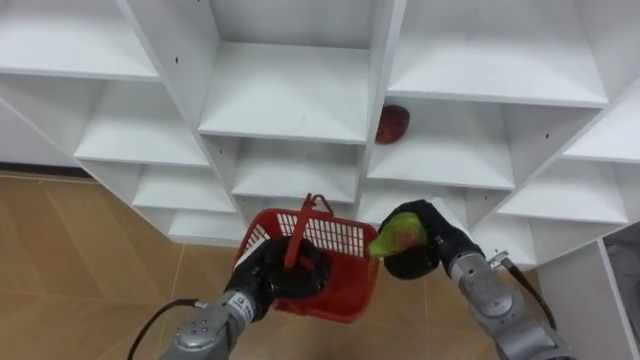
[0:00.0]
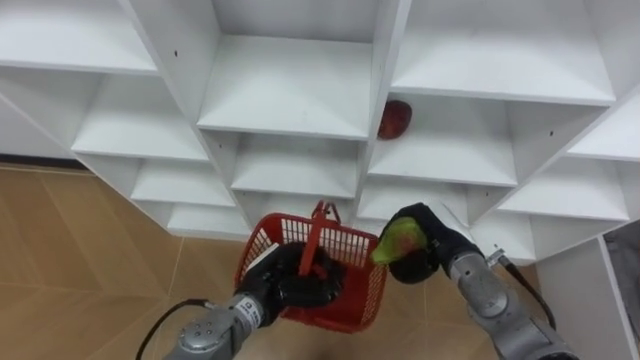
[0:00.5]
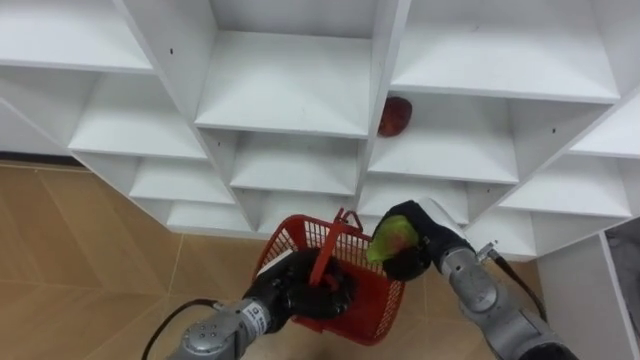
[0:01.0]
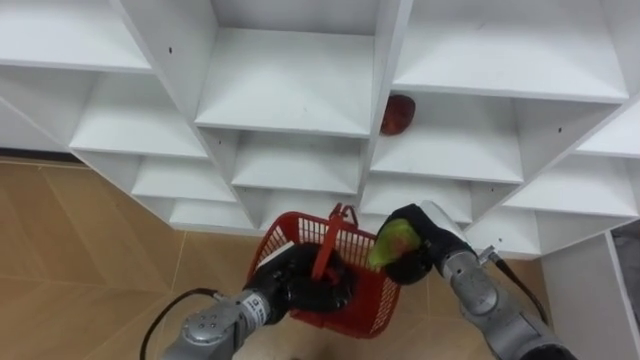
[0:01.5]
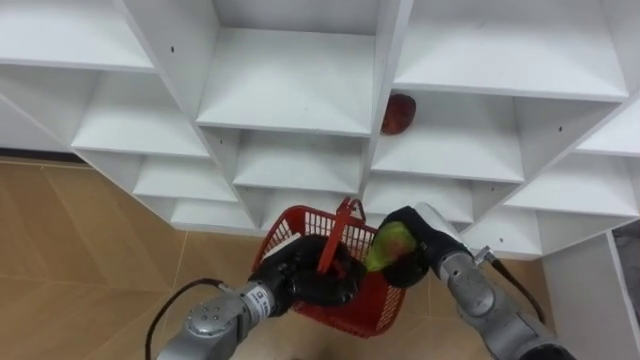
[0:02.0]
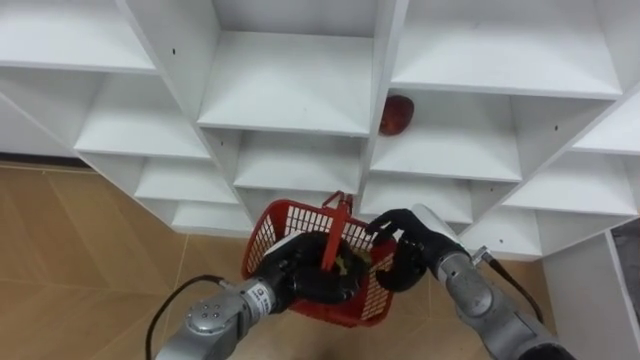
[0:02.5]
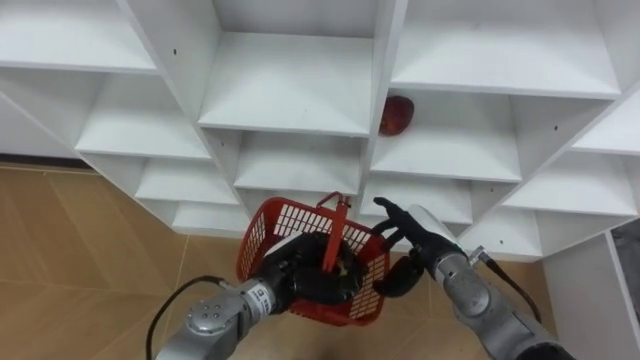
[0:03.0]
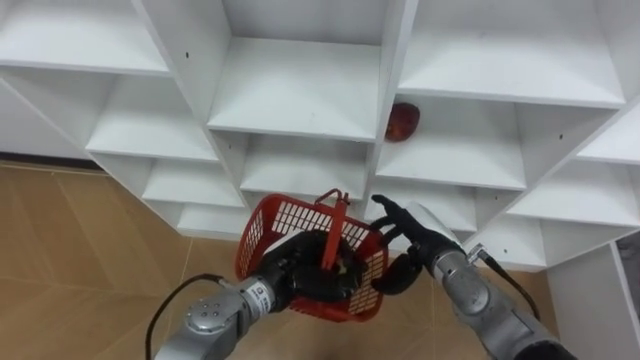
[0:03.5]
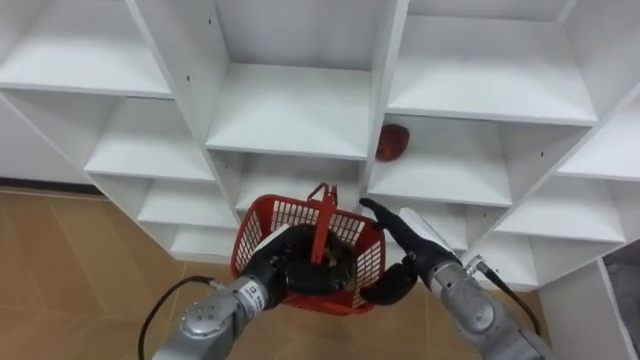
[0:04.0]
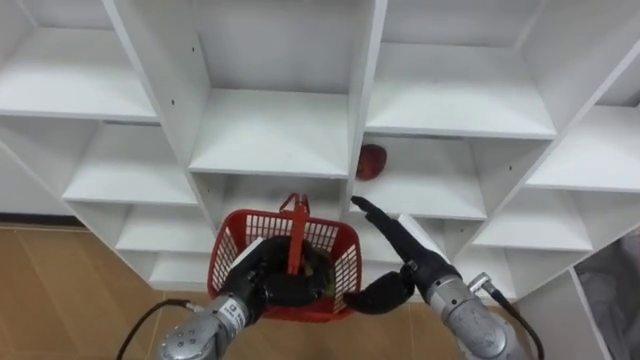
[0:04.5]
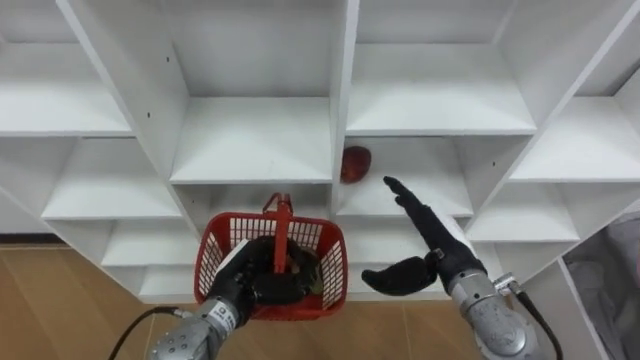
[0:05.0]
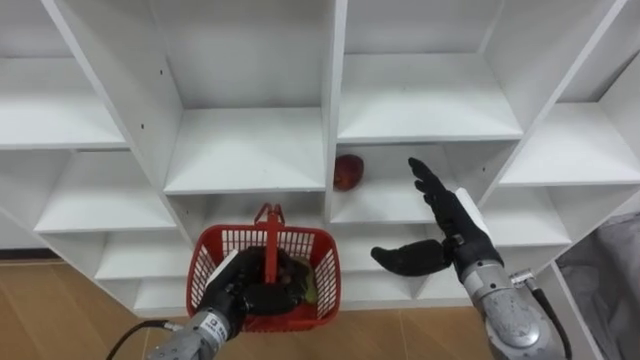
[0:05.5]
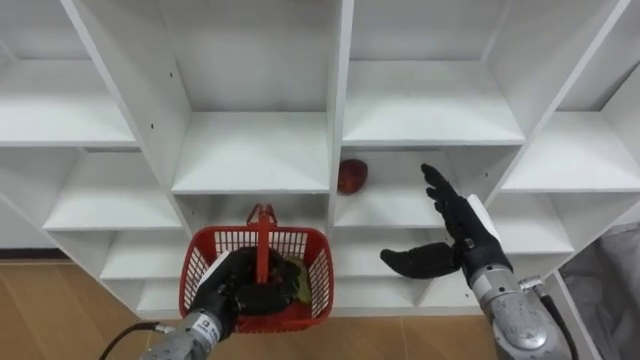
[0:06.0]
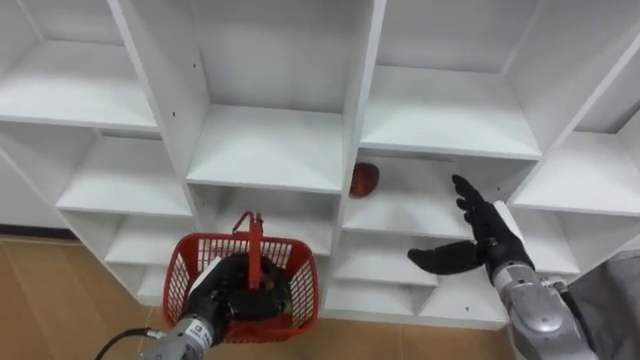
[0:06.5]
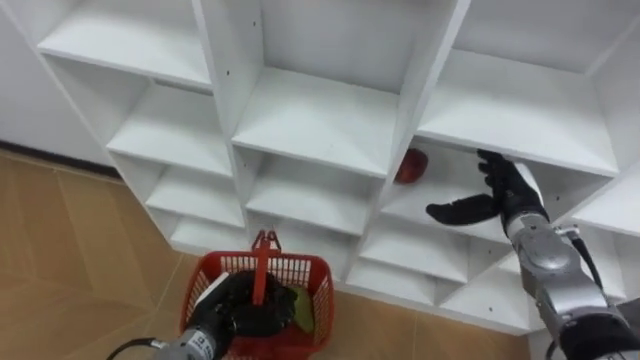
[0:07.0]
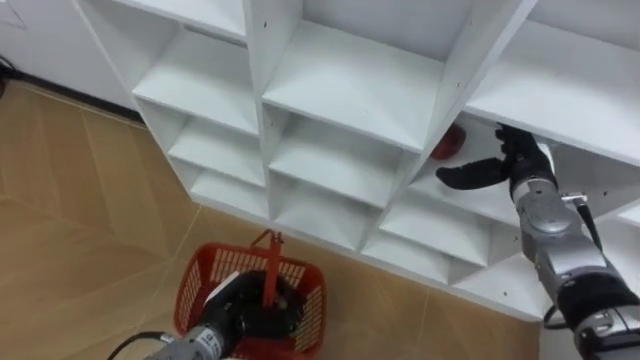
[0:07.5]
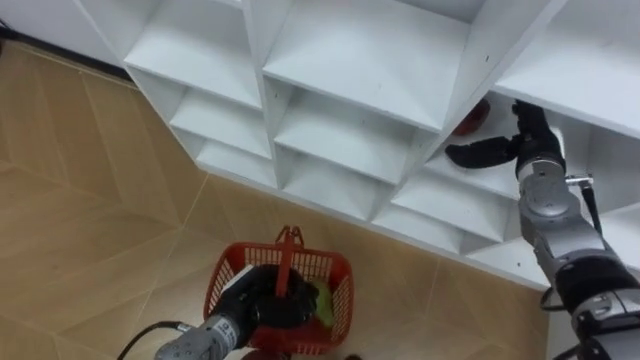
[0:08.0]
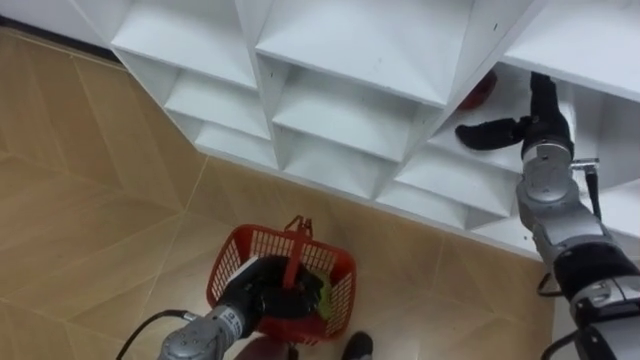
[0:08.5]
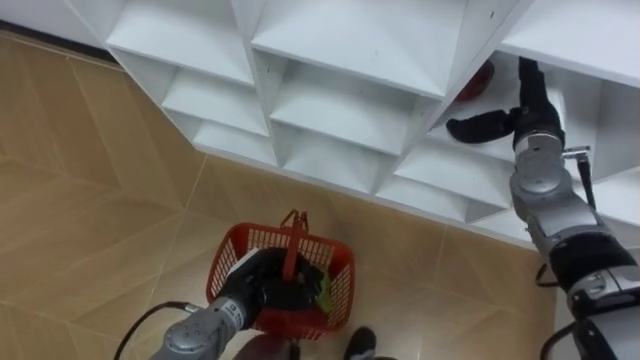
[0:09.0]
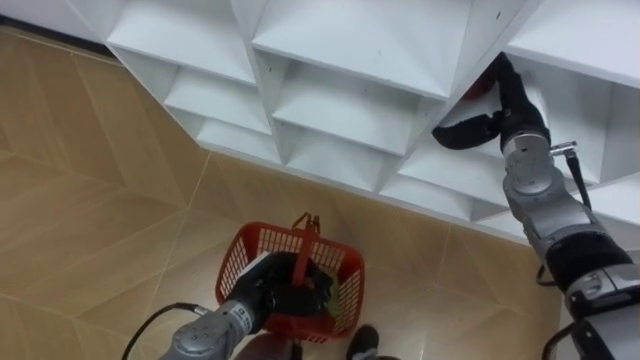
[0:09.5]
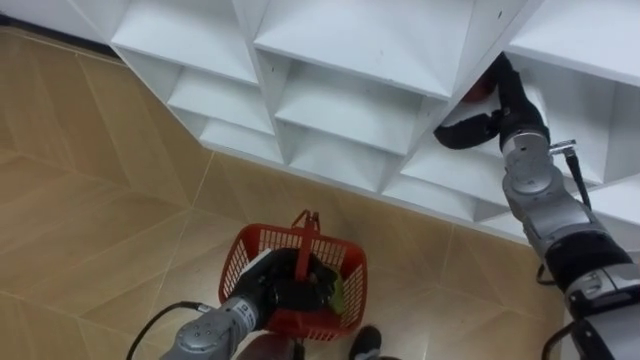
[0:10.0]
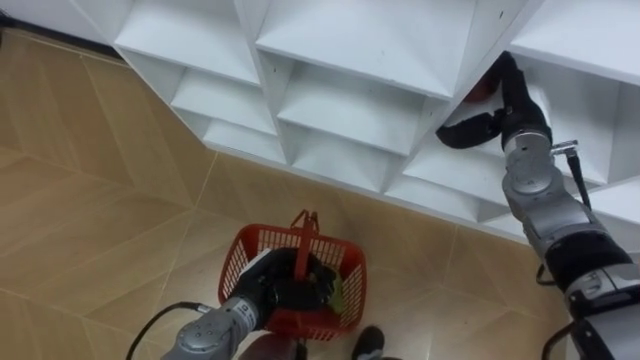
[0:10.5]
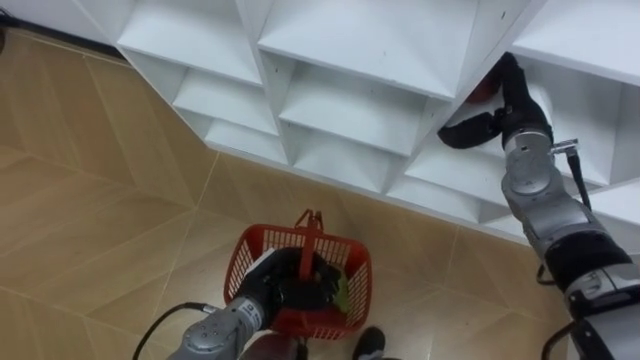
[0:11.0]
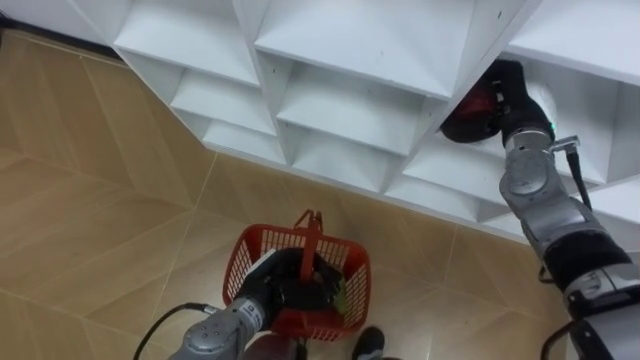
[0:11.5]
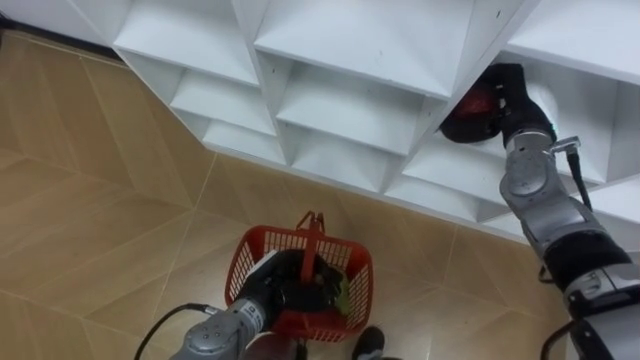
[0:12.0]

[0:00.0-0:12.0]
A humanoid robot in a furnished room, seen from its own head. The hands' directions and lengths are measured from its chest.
Task of the whole recording: Hold the basket and collect the fruits from 3 different cells of the closet into it.
0:02.0 to 0:04.0: The right hand opens up.
0:04.0 to 0:06.0: The right hand heads to the right, covering approximately 5 cm. Meanwhile the left hand travels to the left by some 10 cm.
0:06.0 to 0:08.0: The right hand moves forward, to the right and upward, approximately 15 cm.
0:10.0 to 0:12.0: The right hand closes its fingers.

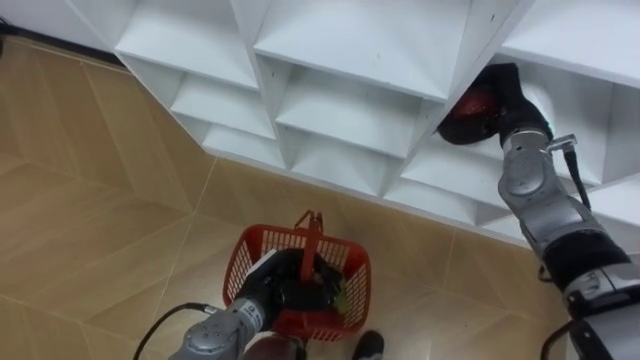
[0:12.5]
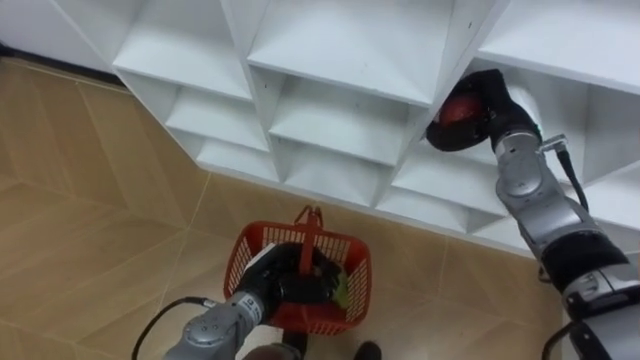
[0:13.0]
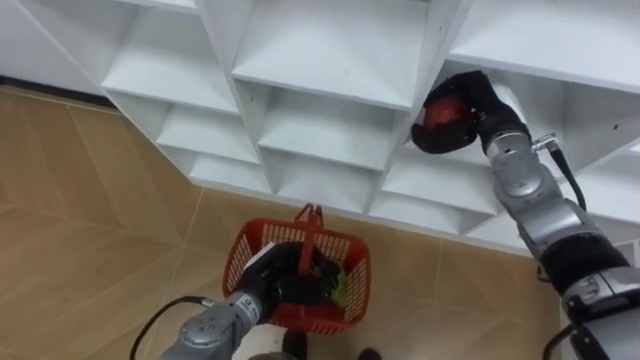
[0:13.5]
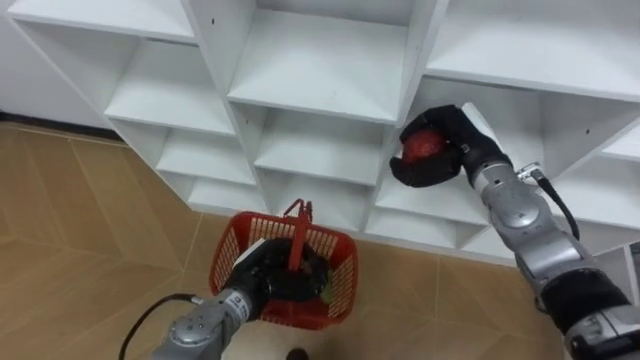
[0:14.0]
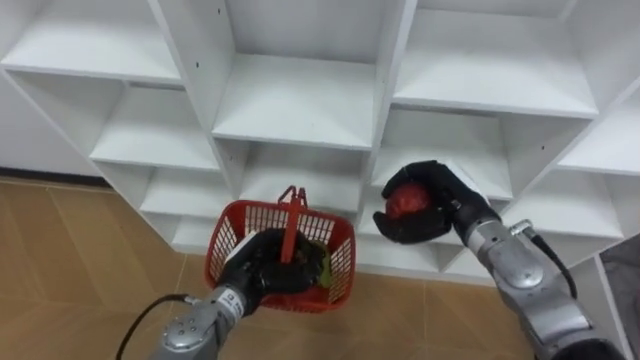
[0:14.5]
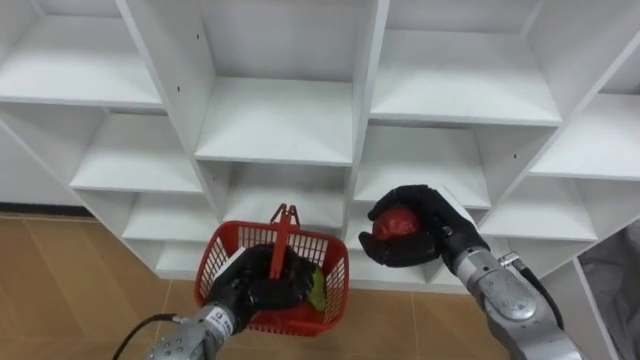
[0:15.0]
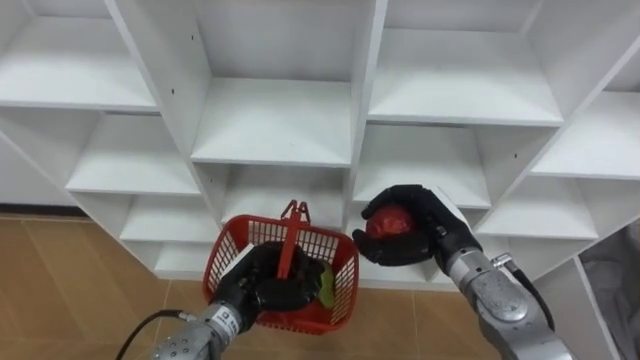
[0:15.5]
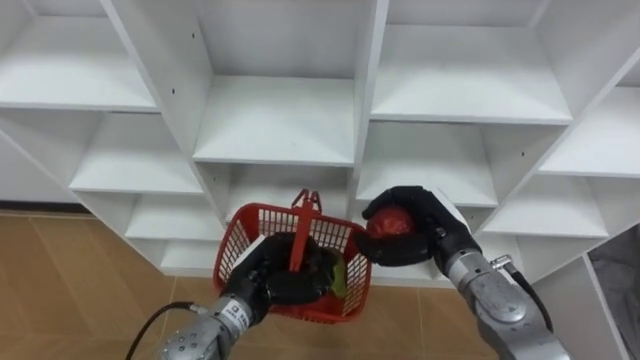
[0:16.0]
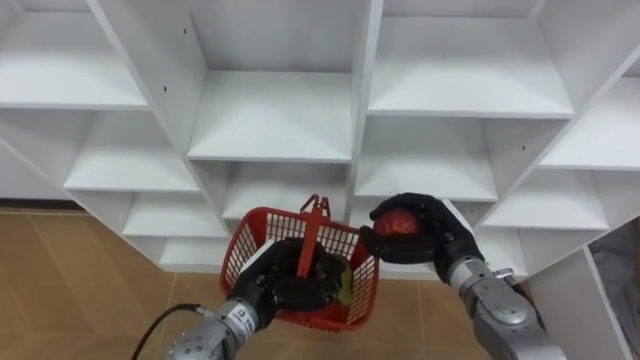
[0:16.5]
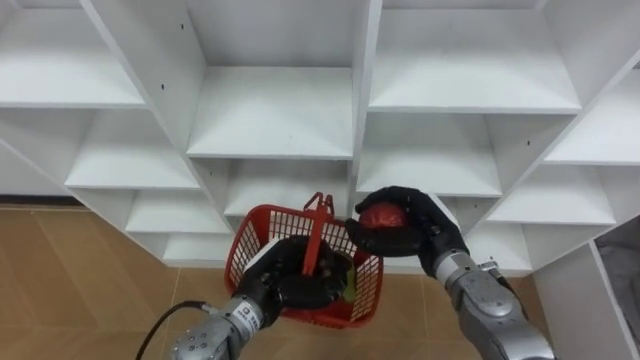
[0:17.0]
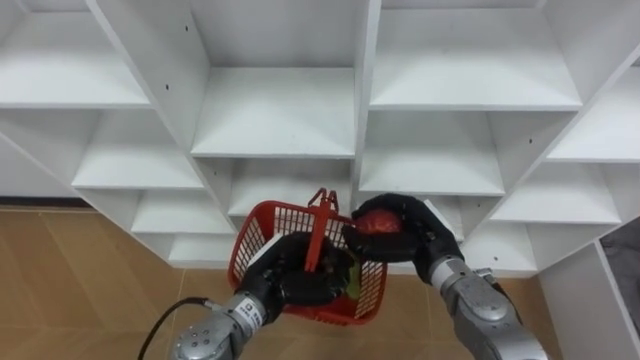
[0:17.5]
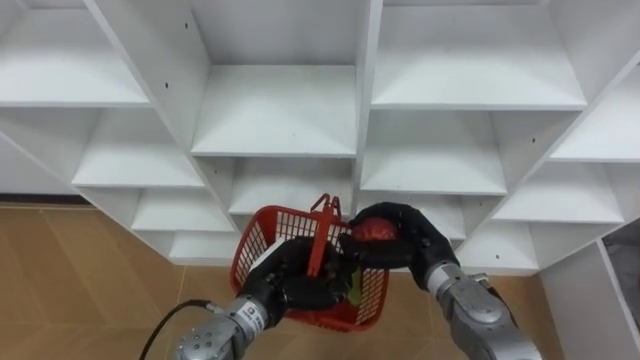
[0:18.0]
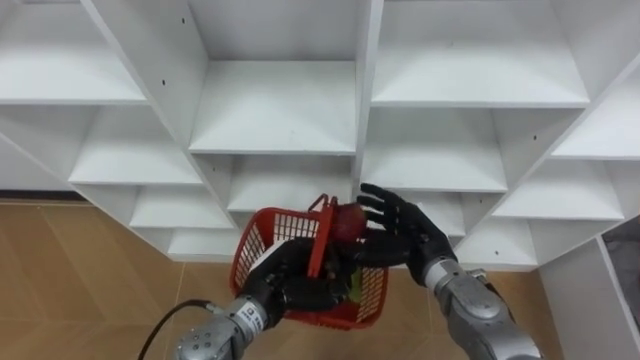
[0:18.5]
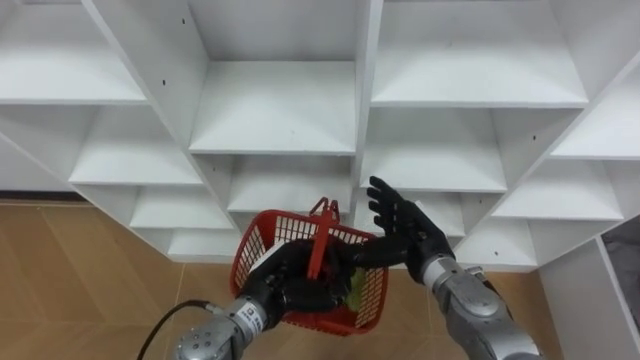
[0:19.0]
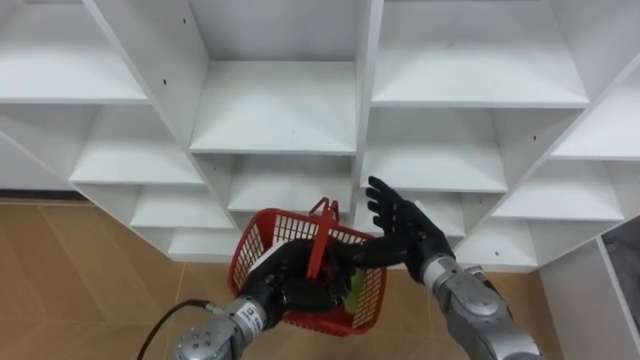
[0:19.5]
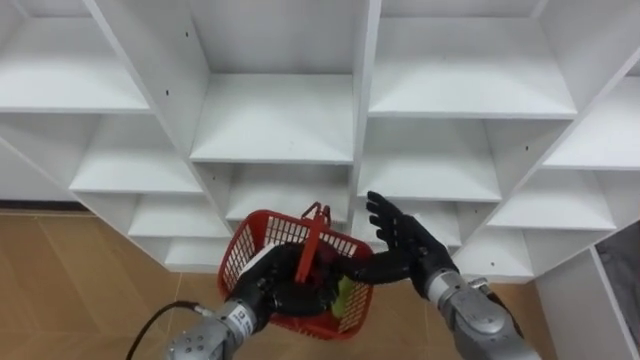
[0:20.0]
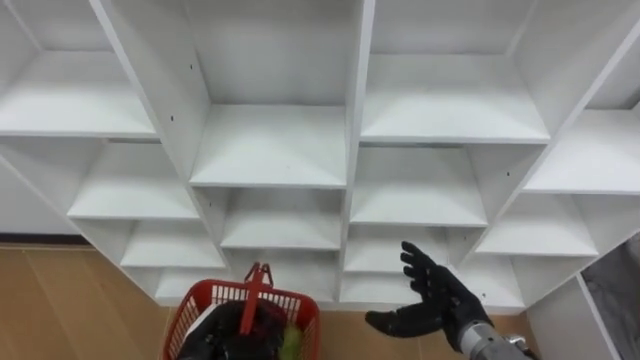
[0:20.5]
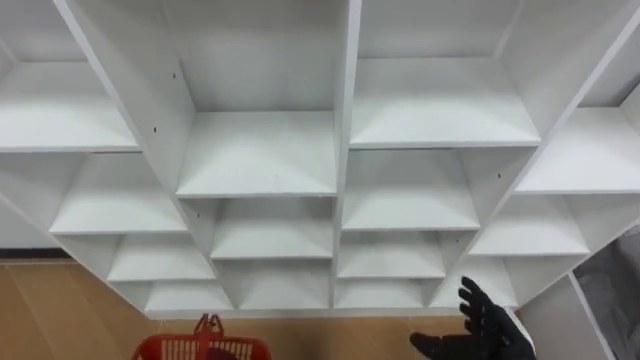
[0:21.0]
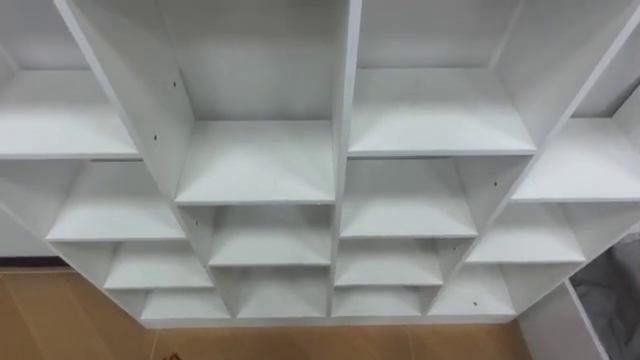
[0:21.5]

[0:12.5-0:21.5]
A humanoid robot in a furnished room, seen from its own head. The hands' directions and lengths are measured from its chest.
Task of the whole recording: Hold the basket and collect the fruits from 3 different cells of the closet into it.
0:12.5 to 0:14.5: The right hand is displaced backward, downward and to the left by some 15 cm.
0:14.5 to 0:17.0: The right hand shifts by about 5 cm.
0:17.0 to 0:19.5: The right hand opens its fingers.
